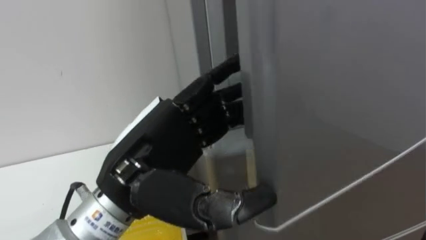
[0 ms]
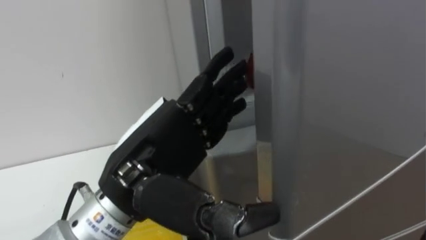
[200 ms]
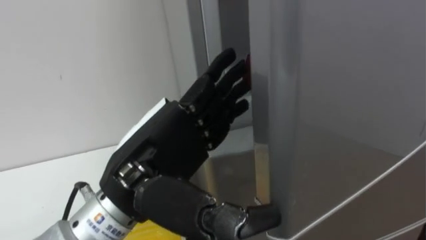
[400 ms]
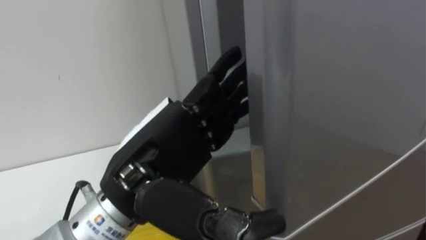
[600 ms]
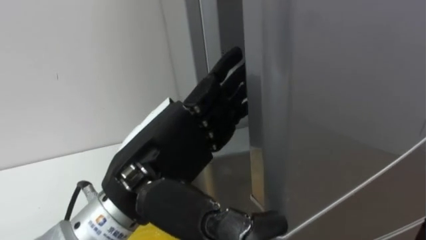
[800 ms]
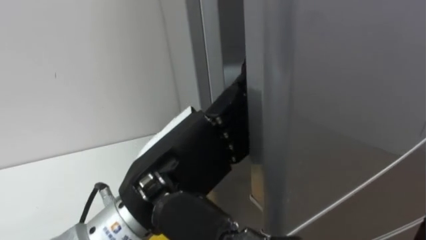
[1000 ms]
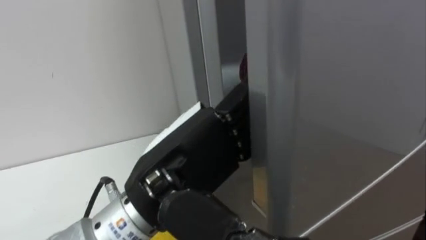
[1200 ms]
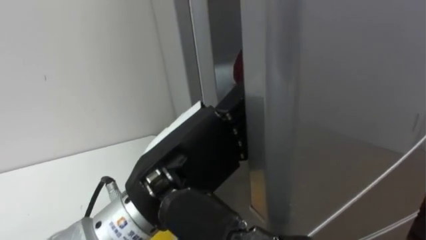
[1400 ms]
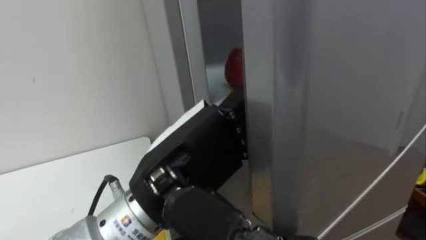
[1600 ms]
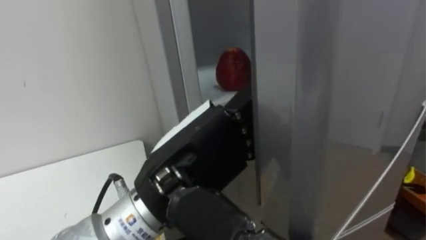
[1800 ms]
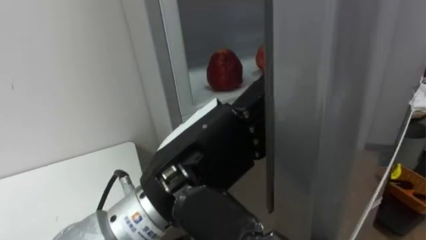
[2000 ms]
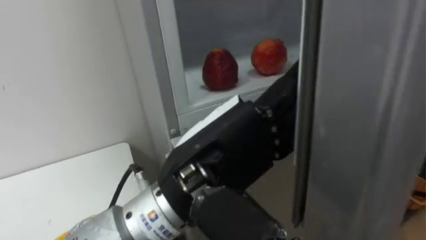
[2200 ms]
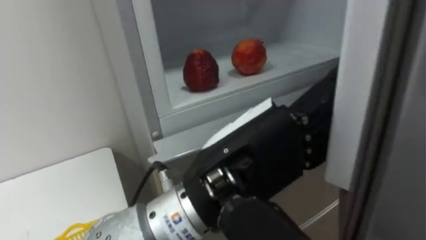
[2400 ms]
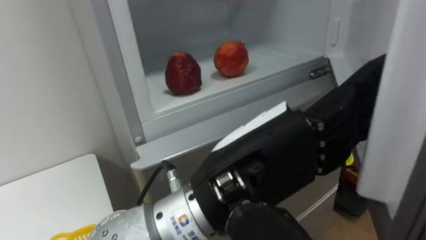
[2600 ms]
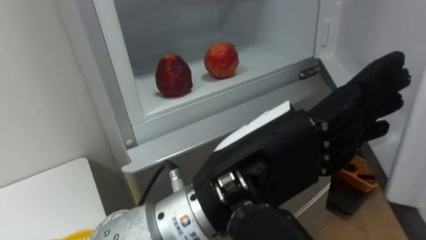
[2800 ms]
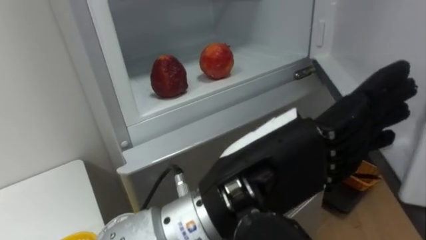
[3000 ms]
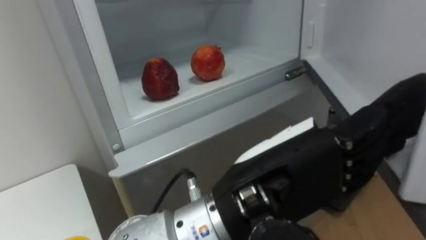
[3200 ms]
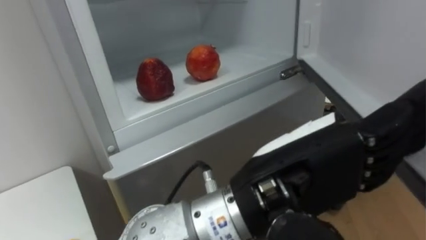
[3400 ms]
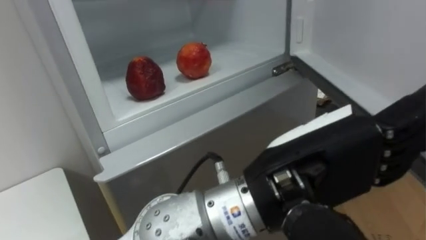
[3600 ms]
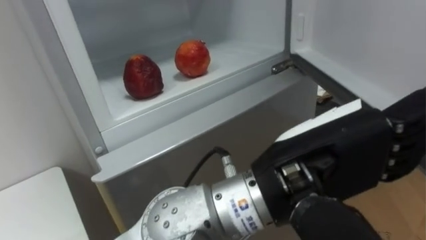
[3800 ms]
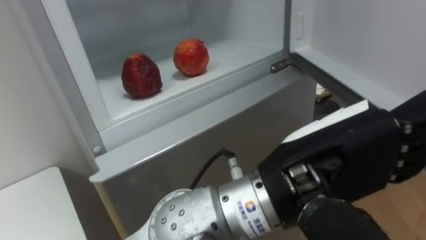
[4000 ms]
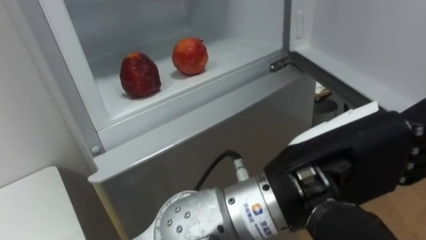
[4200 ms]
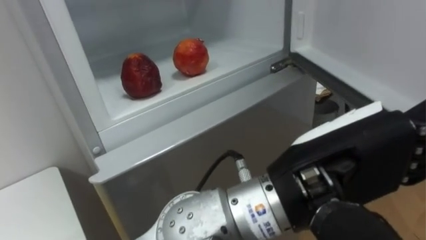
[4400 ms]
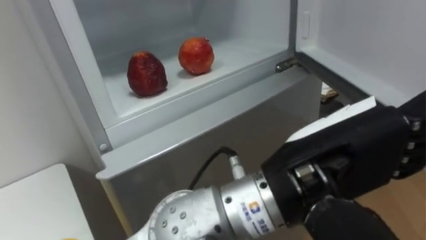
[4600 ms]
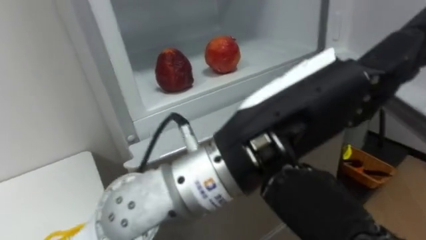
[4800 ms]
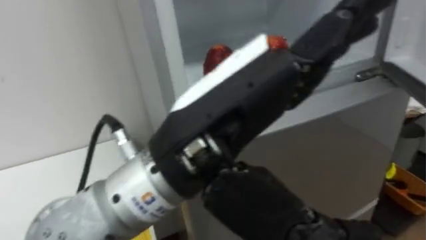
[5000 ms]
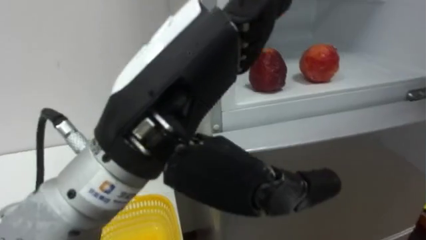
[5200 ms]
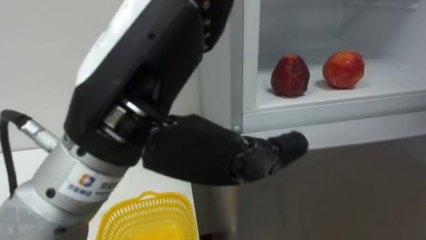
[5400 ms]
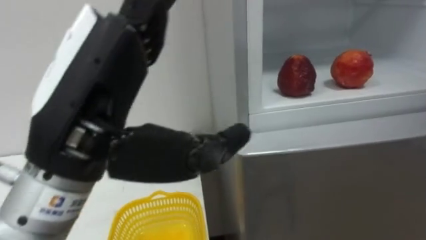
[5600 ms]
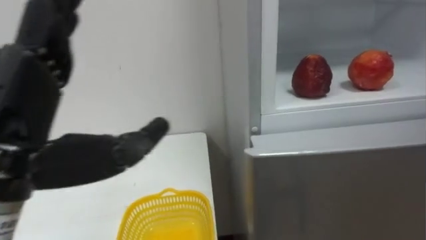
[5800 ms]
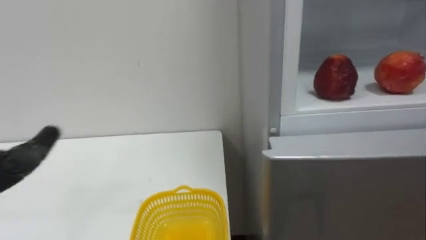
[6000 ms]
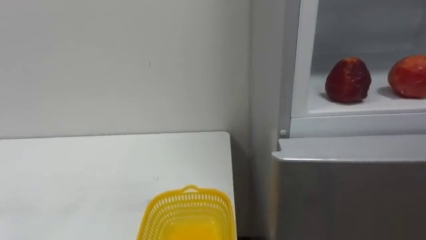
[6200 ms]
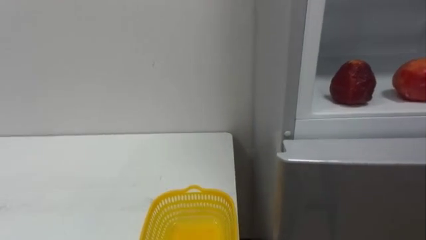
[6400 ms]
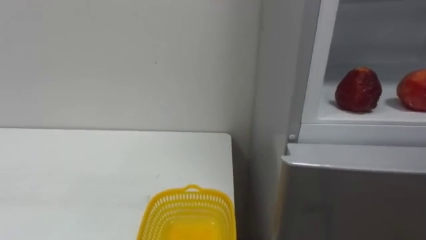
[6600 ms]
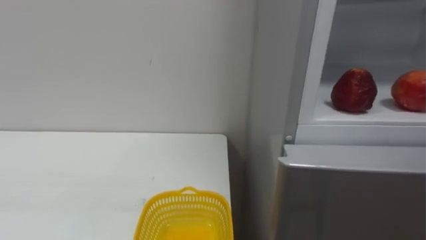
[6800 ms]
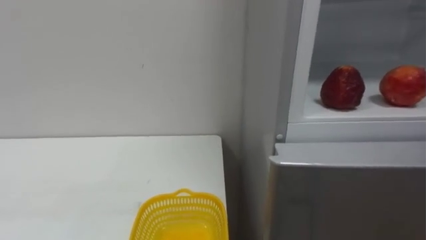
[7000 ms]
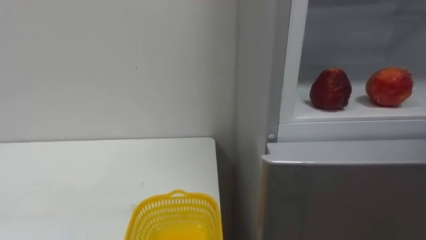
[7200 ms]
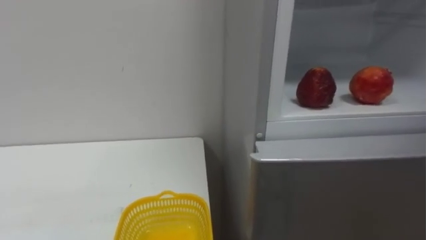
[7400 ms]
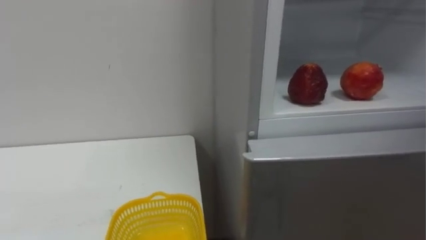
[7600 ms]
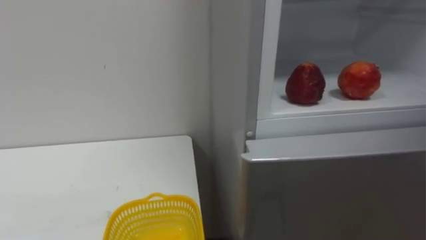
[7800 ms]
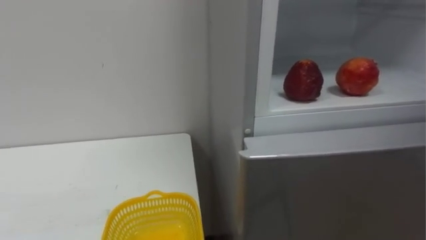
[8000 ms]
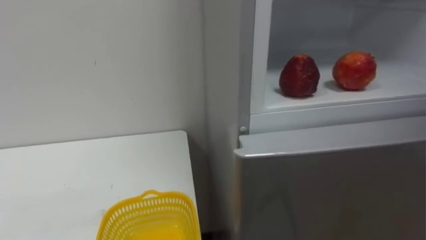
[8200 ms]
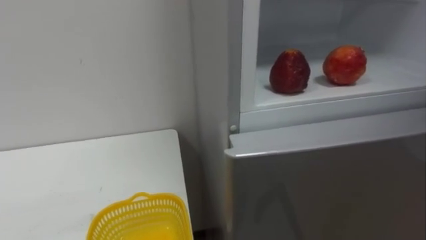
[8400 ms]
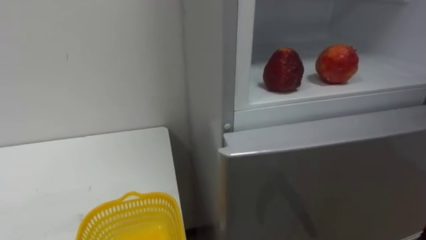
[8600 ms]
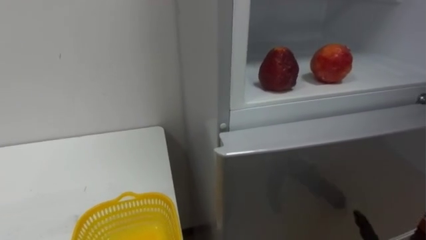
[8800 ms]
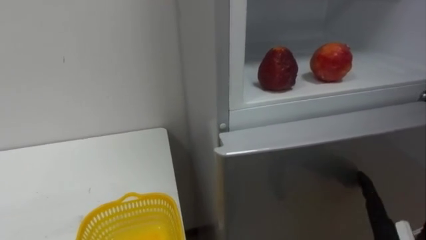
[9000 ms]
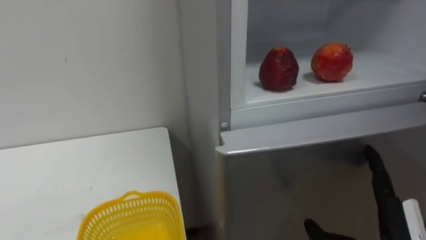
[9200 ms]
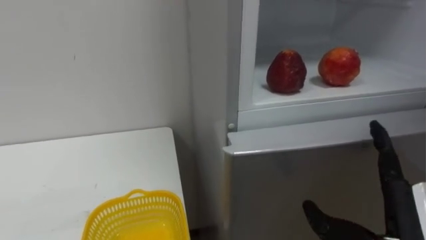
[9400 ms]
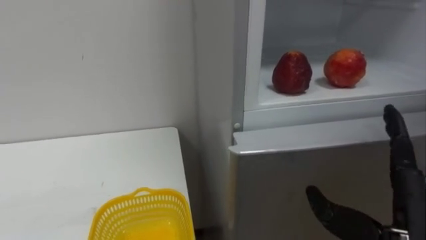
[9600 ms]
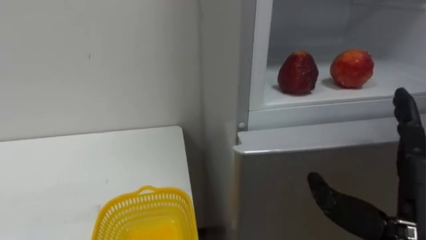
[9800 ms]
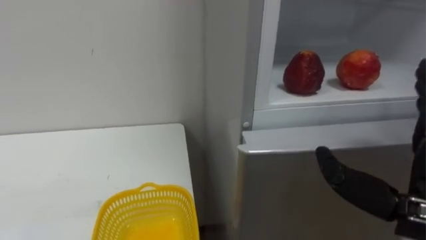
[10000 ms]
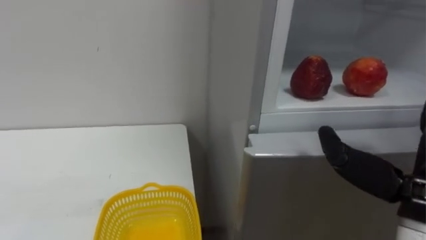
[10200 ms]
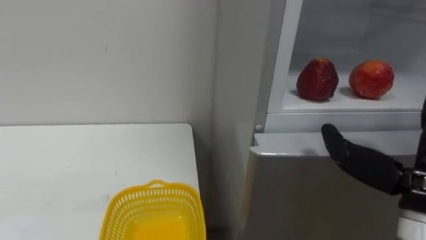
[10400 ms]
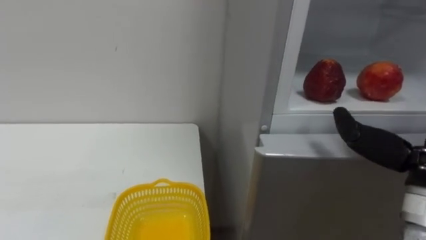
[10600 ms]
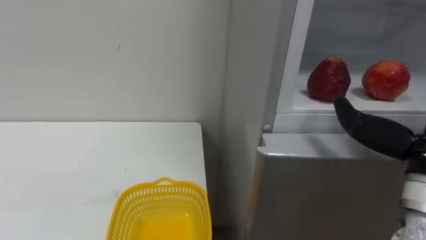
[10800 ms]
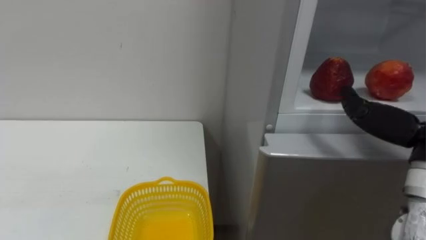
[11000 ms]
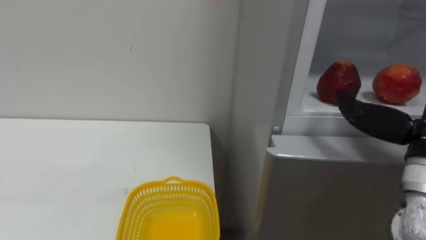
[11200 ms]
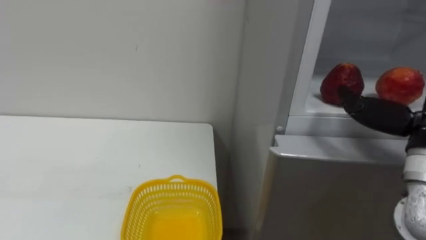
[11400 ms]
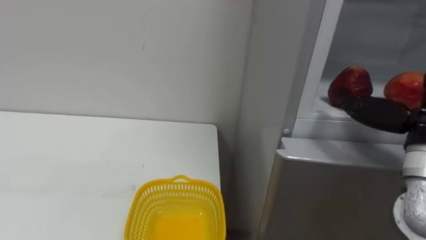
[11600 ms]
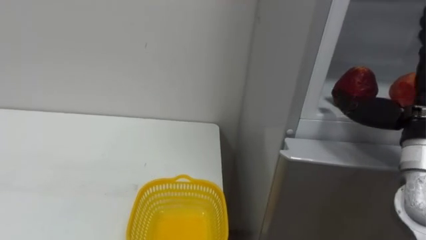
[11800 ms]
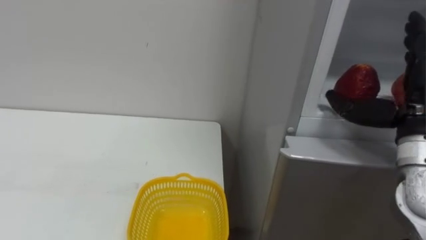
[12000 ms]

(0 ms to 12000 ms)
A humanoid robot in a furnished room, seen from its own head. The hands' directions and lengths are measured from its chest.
Task of the whole recording: Open the refrigerator door, take out the apple and the pomegranate, place them in the fruit basket on the left, and close the refrigerator door.
1600 ms - 3000 ms: The left hand moves to the right, some 5 cm.
3000 ms - 4400 ms: The left hand travels to the right by about 5 cm.

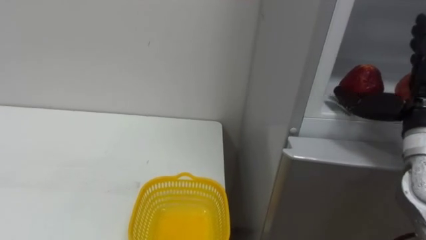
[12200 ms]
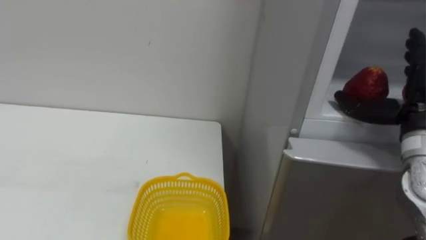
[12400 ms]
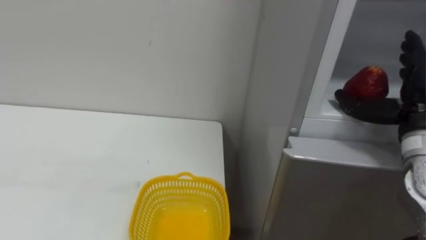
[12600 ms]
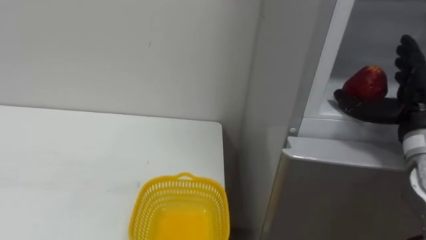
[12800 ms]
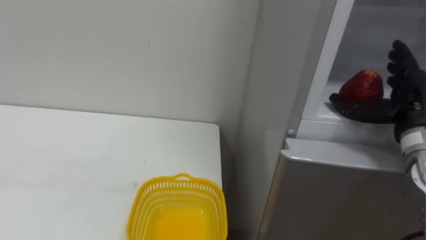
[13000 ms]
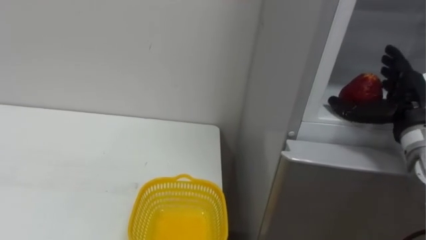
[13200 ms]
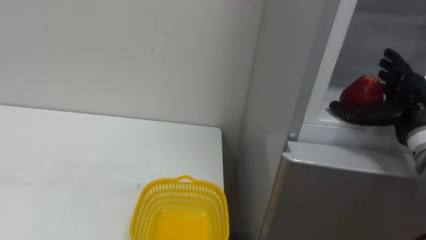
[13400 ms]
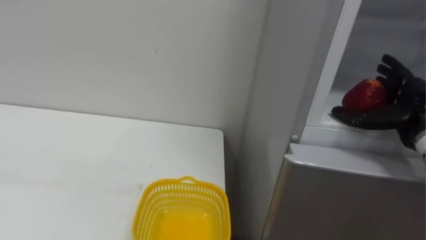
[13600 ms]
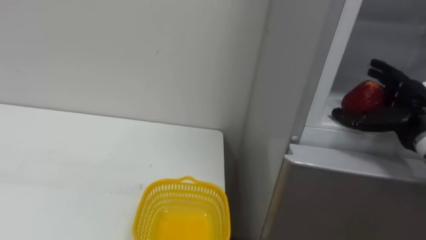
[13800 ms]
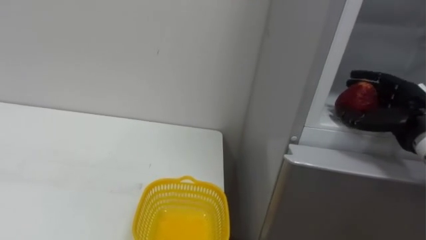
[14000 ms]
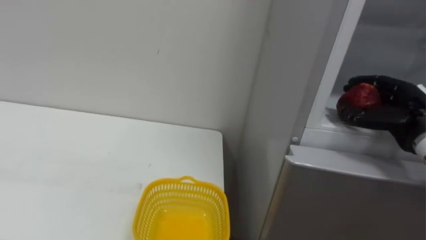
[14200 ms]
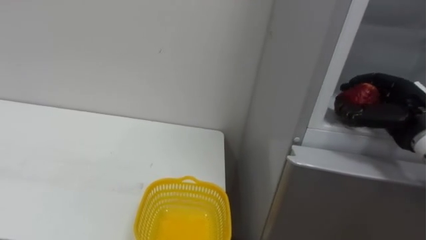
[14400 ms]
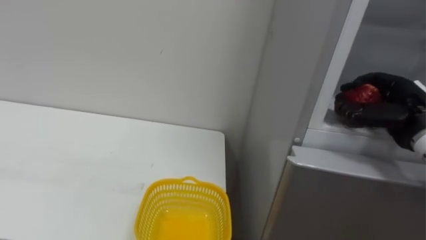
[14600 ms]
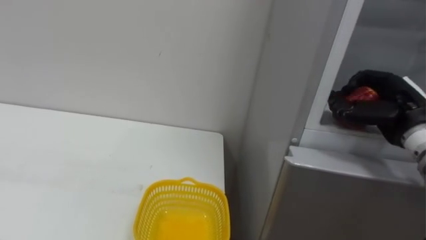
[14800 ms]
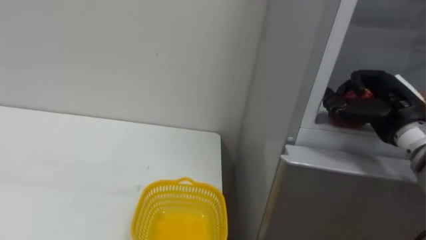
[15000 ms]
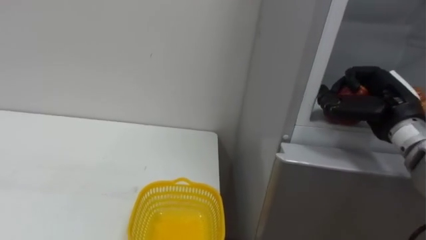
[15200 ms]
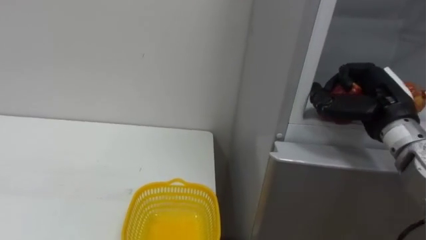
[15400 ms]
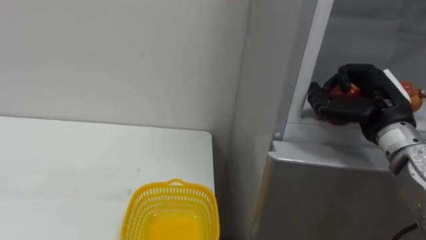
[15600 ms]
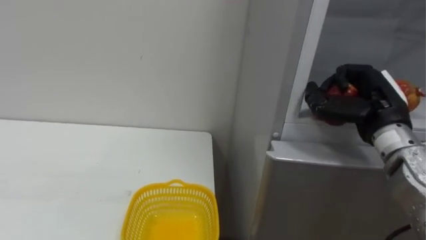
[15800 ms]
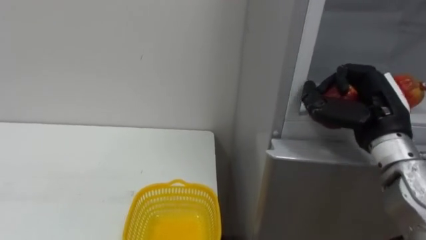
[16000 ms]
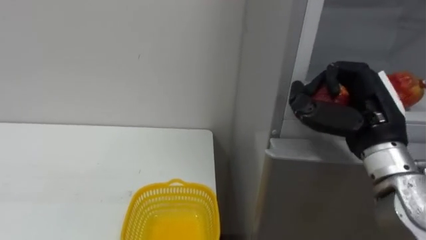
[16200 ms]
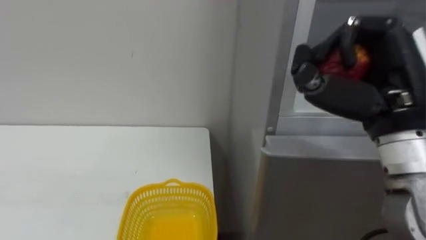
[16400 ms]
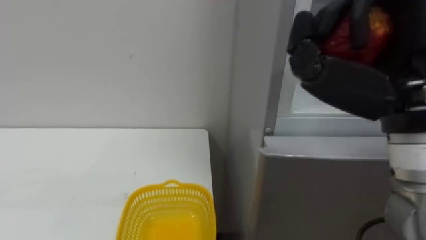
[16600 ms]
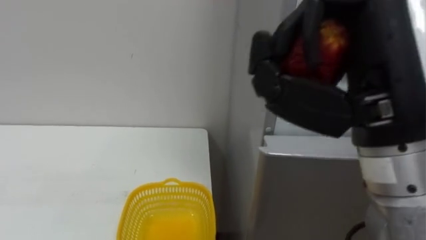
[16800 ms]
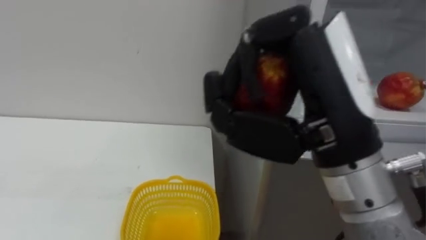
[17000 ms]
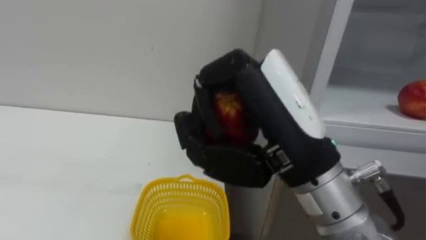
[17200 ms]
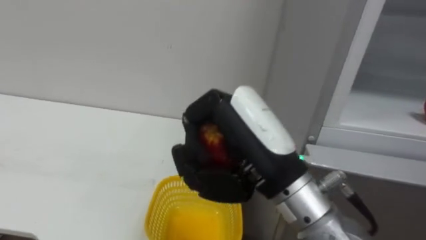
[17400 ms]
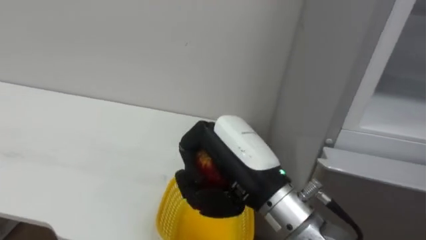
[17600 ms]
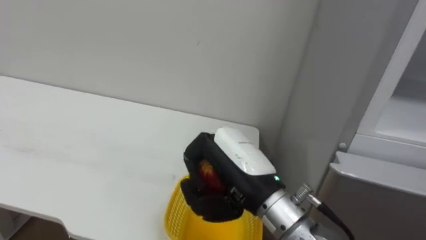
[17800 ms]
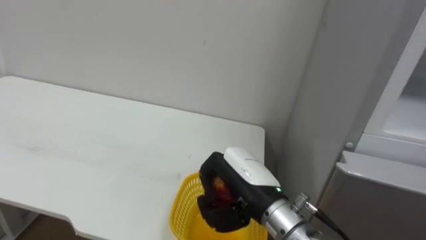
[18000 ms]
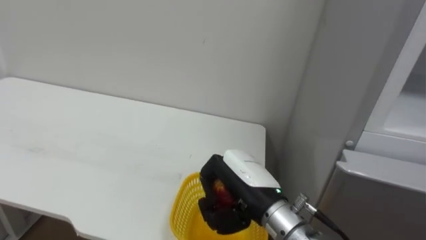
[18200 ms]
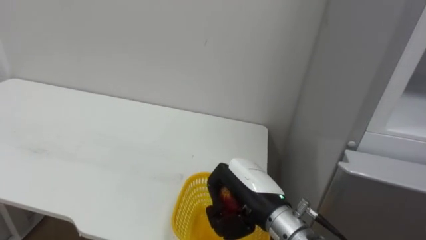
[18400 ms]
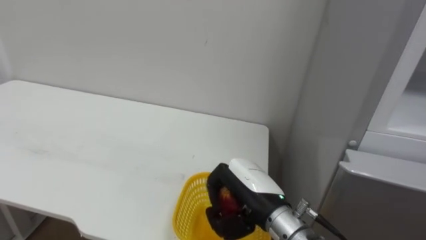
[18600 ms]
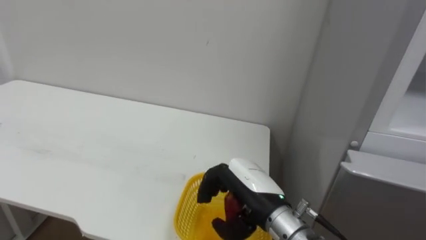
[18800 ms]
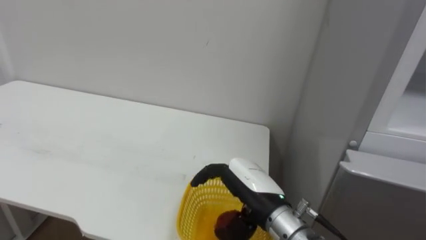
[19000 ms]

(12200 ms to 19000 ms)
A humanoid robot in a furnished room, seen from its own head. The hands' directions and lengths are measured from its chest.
Task of the whole recording: Open the refrigerator door, take out the apple and the pomegranate, place them in the fruit basket on the left, and close the refrigerator door.
12200 ms - 13600 ms: The right hand shifts by about 5 cm.
13600 ms - 15000 ms: The right hand closes.
15000 ms - 16200 ms: The right hand shifts some 10 cm to the left and backward.
16200 ms - 17600 ms: The right hand travels to the left by roughly 20 cm.
17600 ms - 19000 ms: The right hand goes about 10 cm downward, and opens up.
